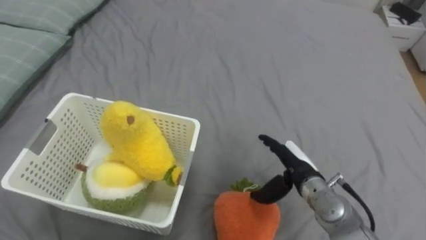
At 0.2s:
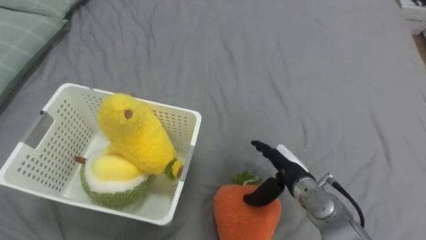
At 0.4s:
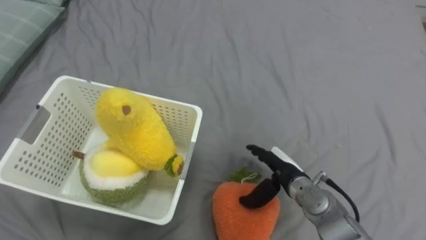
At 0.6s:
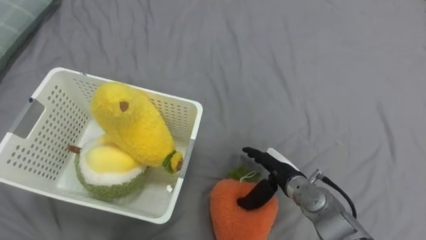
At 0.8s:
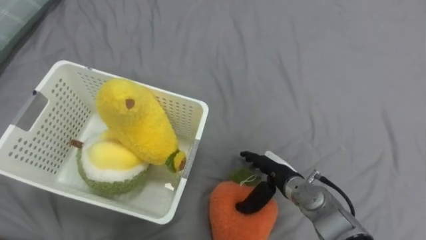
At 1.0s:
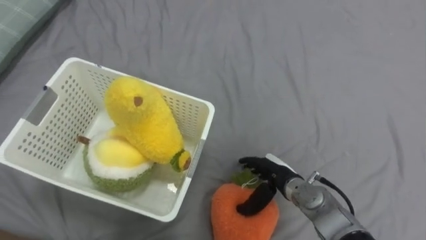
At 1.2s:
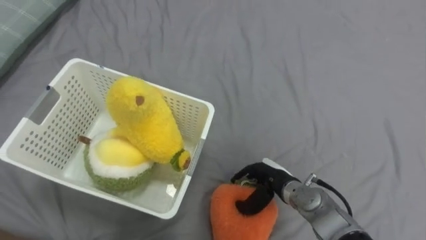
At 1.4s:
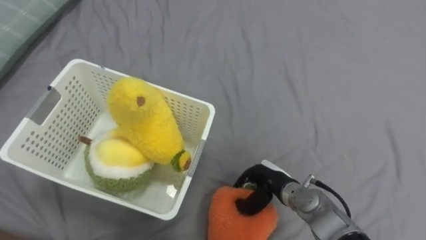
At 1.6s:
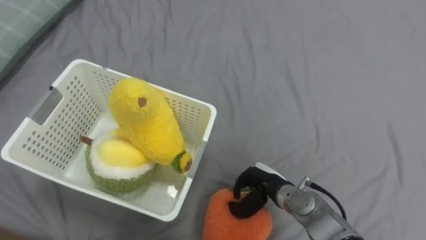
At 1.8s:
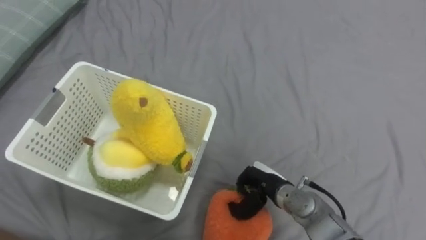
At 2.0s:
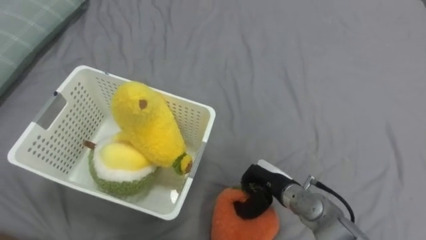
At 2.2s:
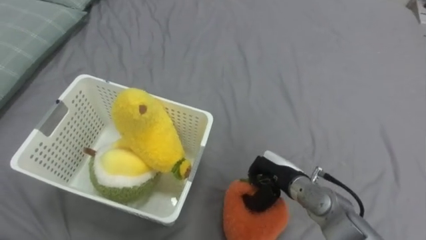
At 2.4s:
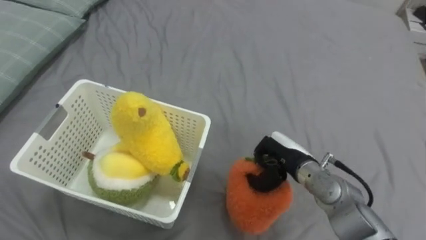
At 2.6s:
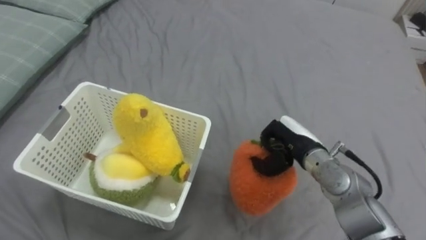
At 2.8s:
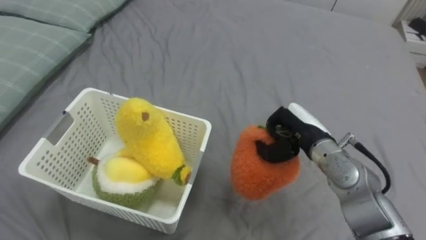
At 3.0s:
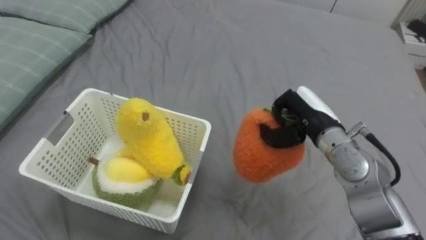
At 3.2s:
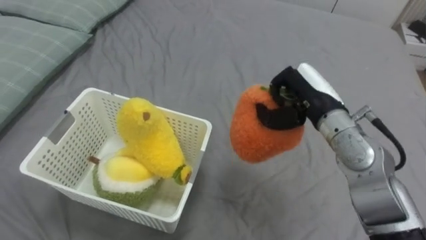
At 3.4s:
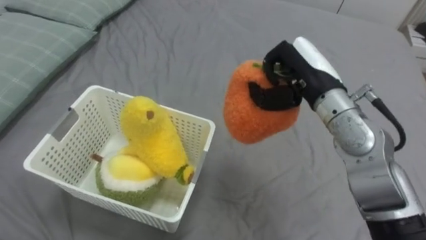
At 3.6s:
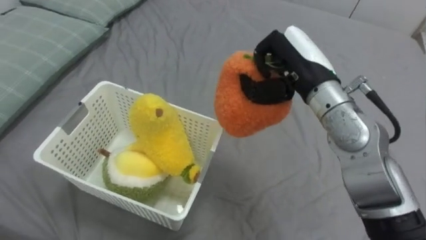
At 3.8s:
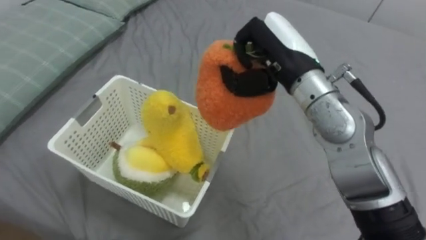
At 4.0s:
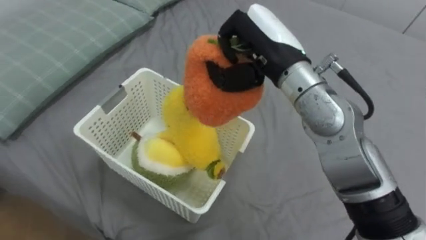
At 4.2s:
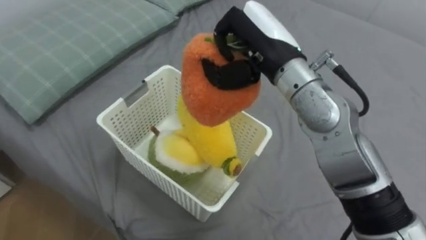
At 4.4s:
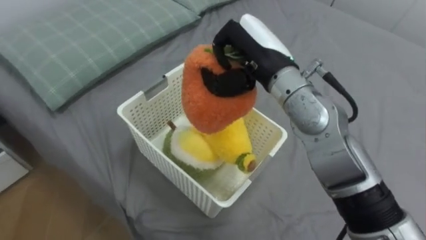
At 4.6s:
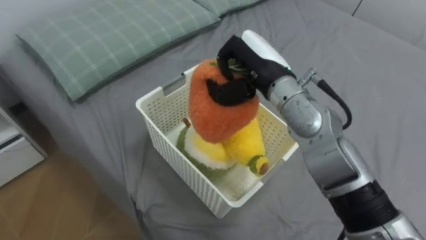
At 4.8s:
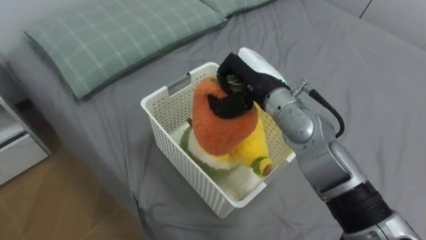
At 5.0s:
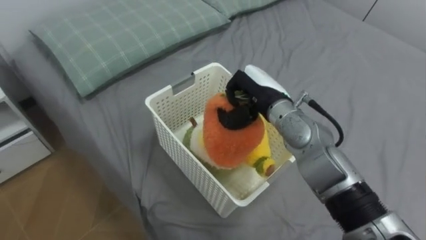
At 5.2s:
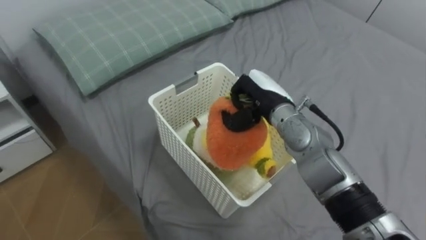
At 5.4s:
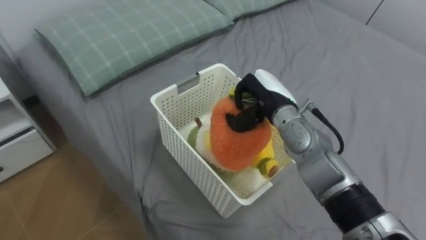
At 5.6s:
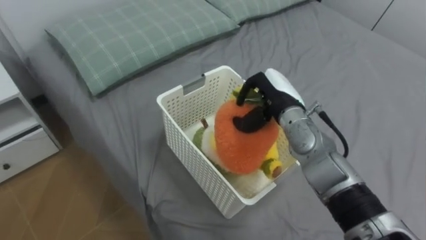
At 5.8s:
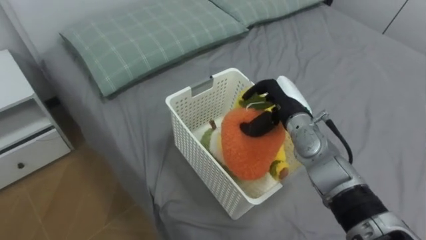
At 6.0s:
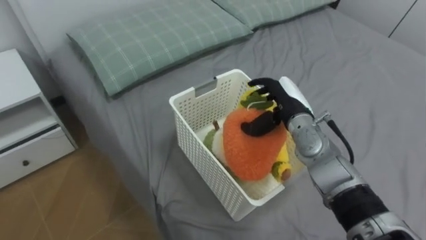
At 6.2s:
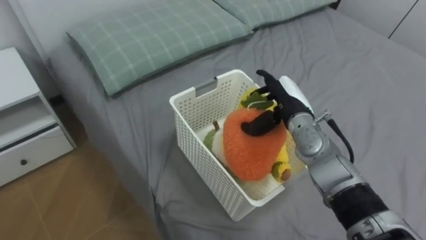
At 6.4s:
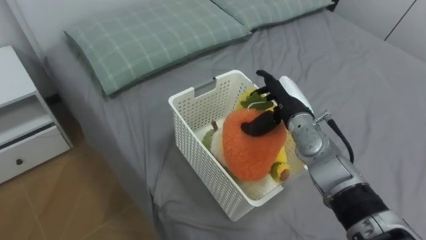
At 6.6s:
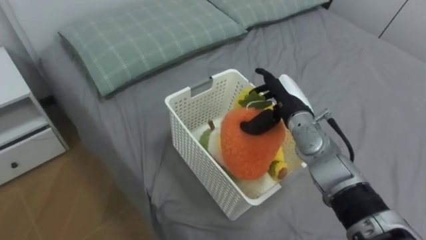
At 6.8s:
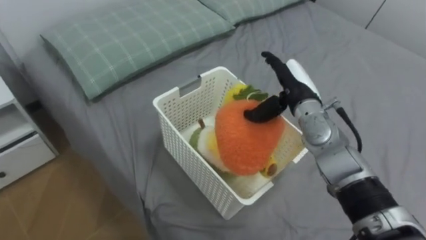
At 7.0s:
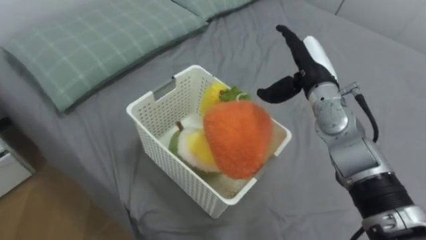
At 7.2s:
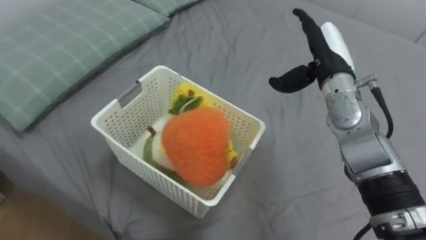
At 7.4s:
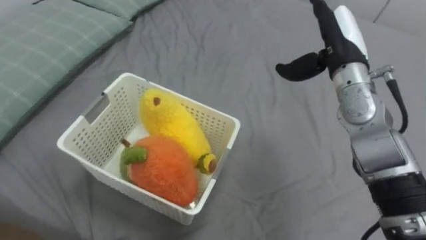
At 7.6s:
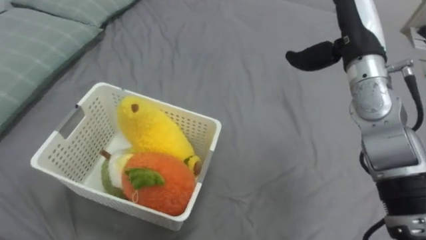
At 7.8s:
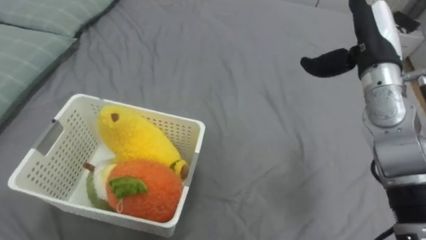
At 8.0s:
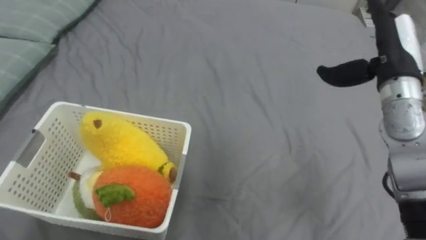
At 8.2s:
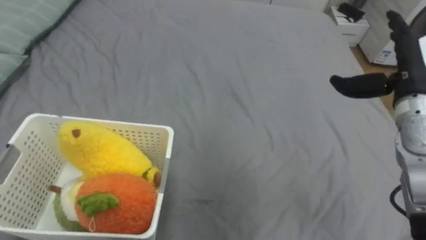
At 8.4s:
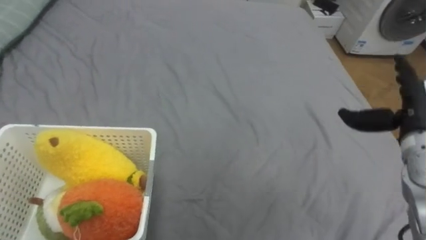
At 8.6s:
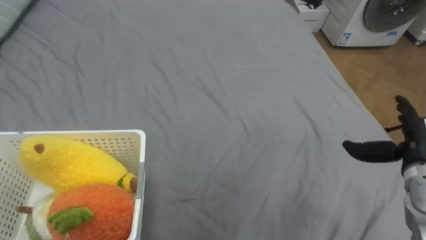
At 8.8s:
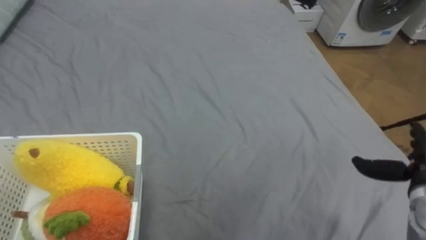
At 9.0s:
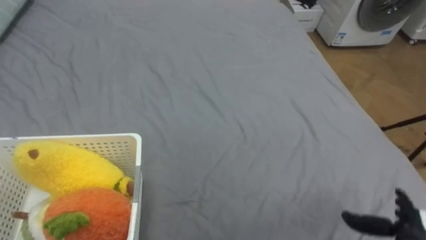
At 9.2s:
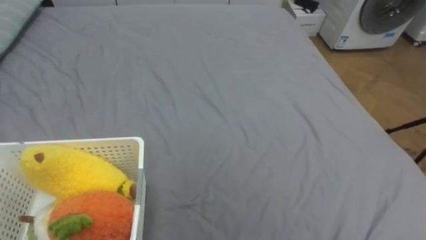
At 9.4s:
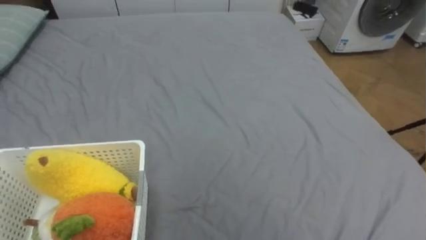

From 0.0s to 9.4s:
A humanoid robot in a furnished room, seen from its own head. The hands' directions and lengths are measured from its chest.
Task of the whole recording: Put the toys on the bed into the basket on the left.
From 0.0s to 1.6s: The right hand heads downward and to the left, covering approximately 10 cm, and closes up.
From 1.6s to 3.2s: The right hand heads upward, covering approximately 20 cm.
From 3.2s to 4.8s: The right hand heads to the left, covering some 10 cm.
From 4.8s to 6.2s: The right hand goes about 10 cm downward and to the right, and opens its fingers.
From 6.2s to 7.8s: The right hand goes about 15 cm upward and to the right.

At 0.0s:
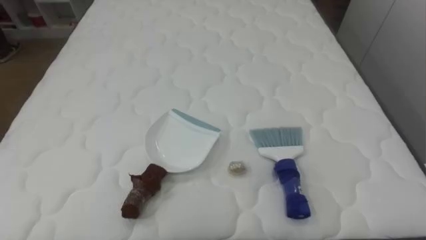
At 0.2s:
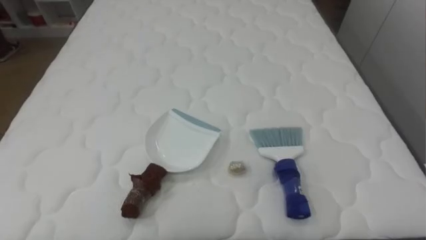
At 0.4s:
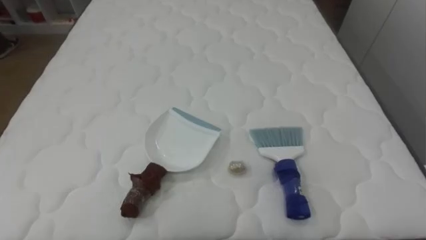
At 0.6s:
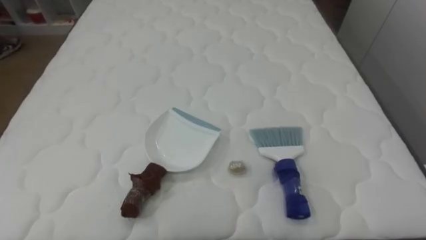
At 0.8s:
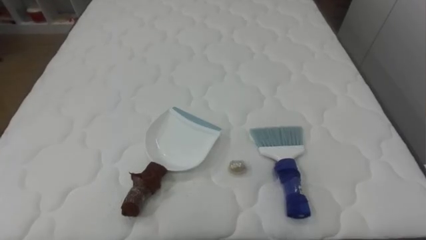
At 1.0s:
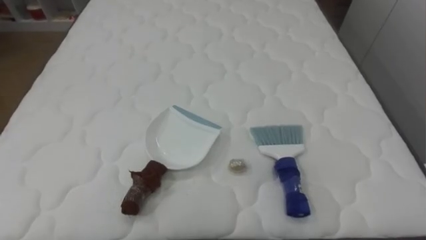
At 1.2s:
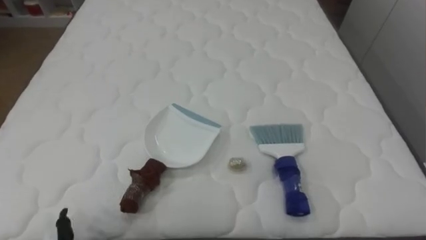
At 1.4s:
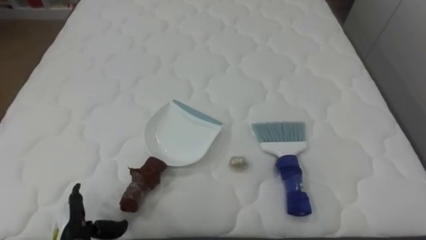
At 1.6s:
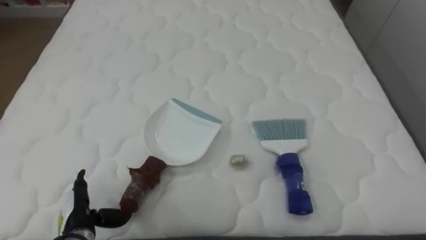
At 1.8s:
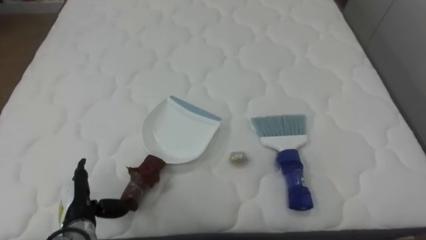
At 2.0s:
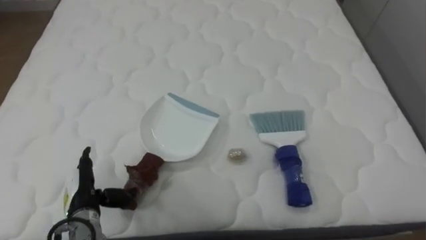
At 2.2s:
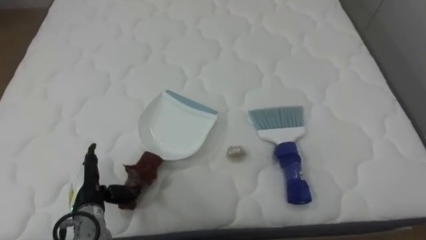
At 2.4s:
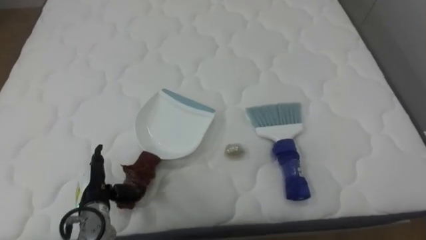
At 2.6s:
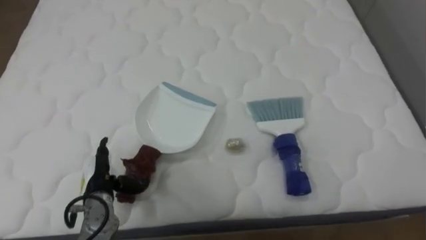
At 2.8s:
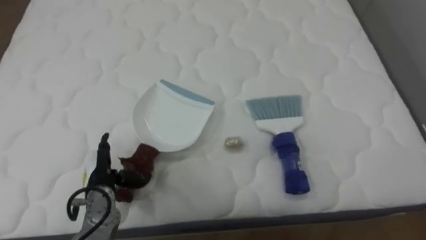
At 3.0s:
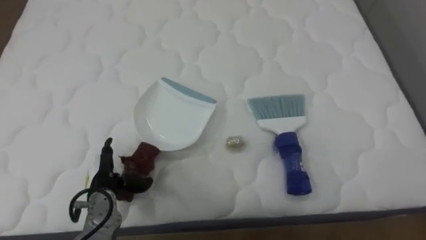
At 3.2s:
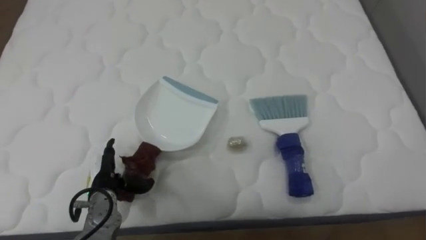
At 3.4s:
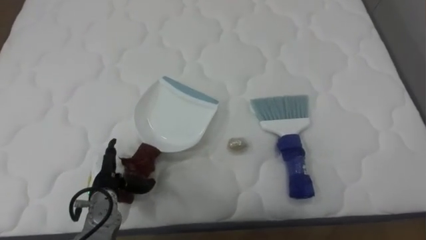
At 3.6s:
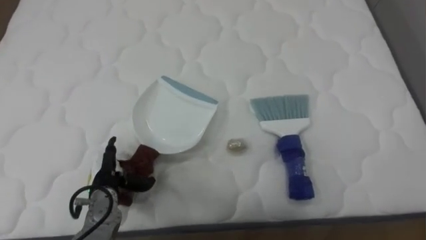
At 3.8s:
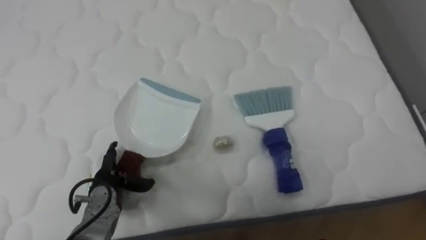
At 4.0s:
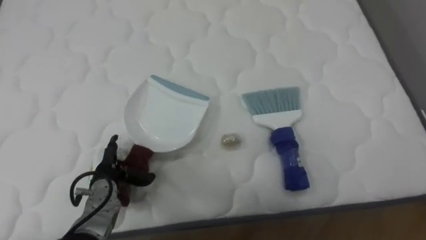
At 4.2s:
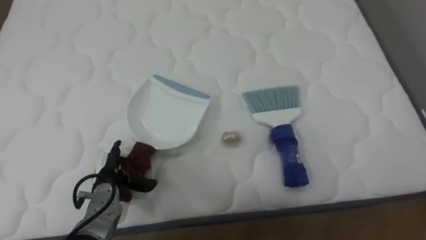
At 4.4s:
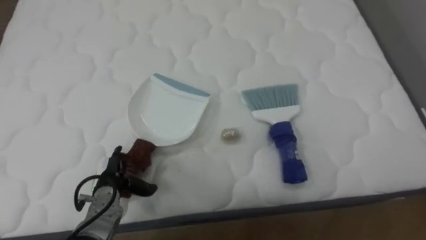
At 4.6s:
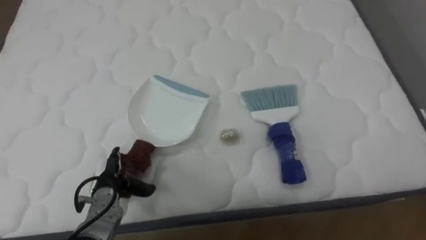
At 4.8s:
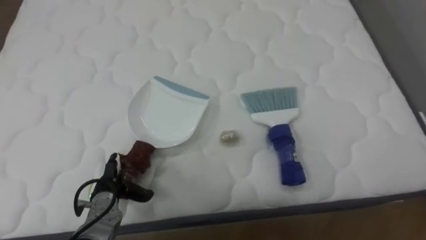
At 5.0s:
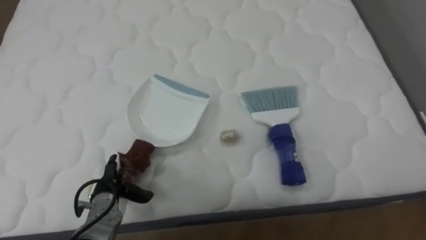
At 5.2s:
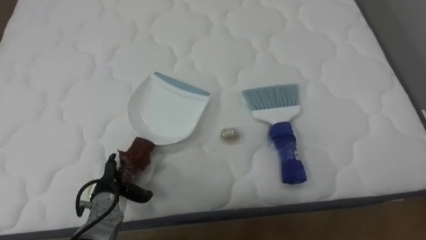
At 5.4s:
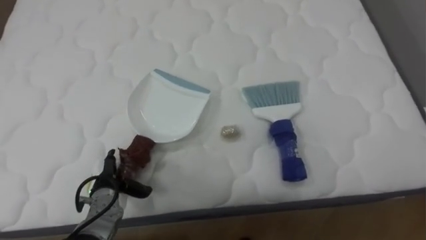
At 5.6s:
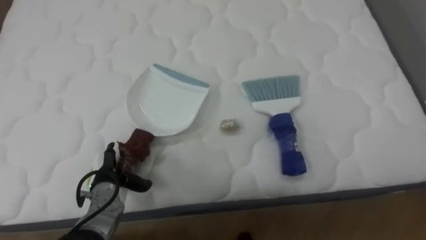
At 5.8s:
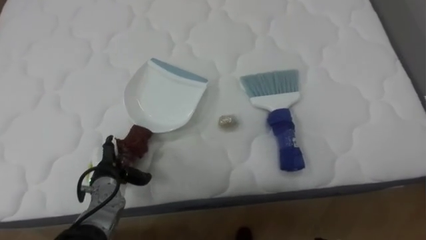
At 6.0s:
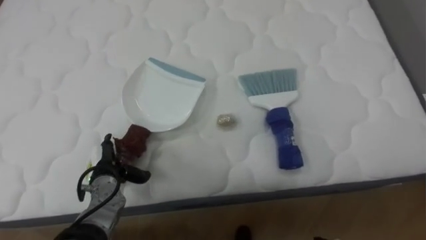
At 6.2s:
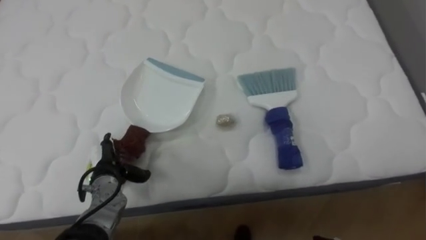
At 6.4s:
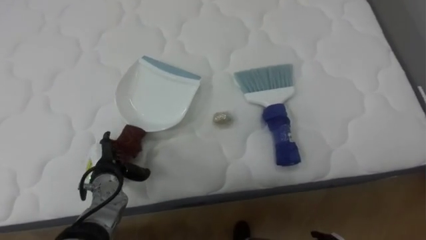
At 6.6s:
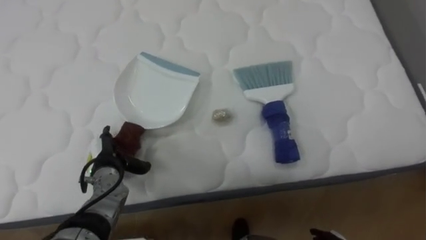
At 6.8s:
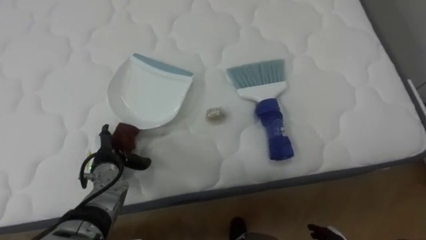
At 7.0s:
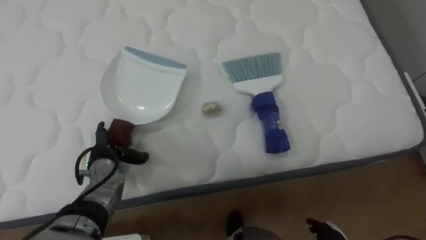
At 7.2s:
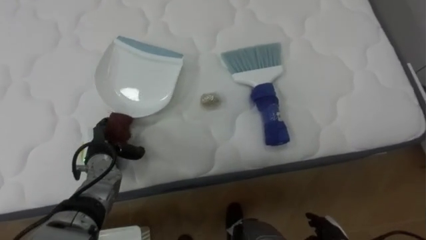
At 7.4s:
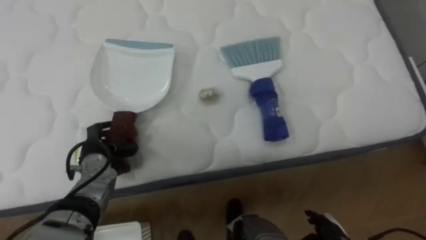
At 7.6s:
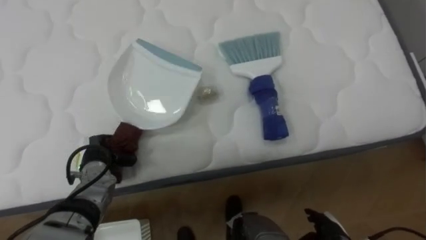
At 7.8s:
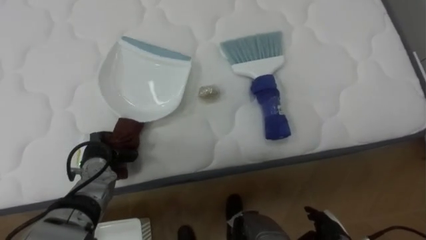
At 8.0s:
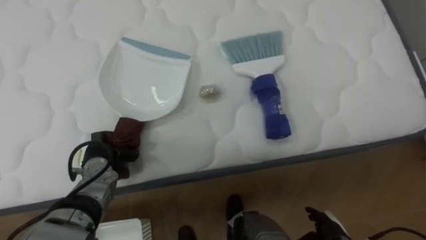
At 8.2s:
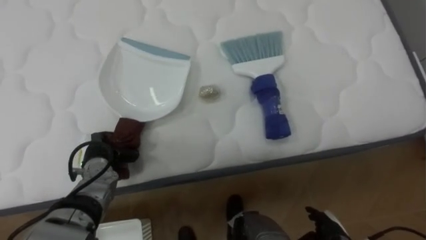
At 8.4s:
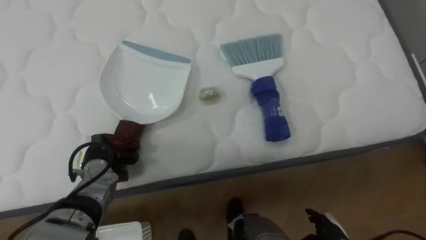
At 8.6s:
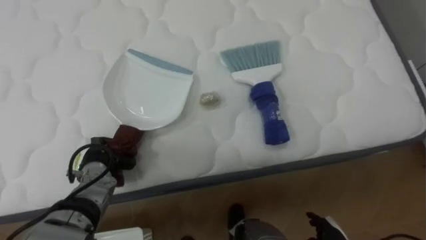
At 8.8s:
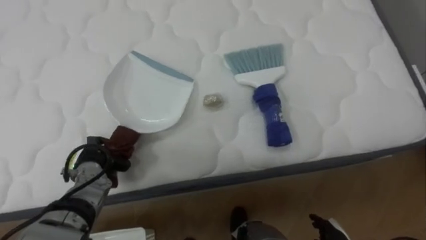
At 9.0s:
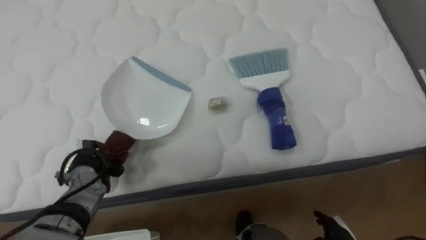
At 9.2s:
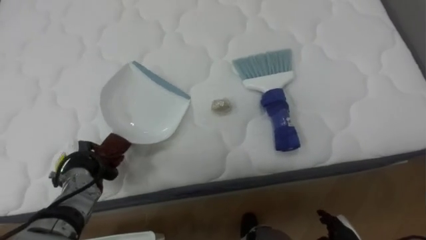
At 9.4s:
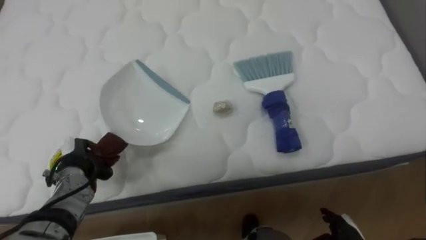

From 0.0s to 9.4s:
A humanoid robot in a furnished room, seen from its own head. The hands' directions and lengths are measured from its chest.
Task of the whole recording: Pick up the brush on your right and the dustpan on your left. Use the brush to sweep the crumpled paper on the bed into the dustpan, then turn left and empty it into the basket.
From 1.6s to 3.2s: The left hand shifts approximately 10 cm forward.
From 6.2s to 7.8s: The left hand closes its fingers.
